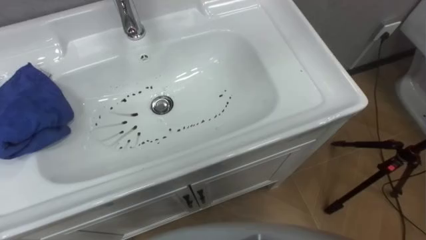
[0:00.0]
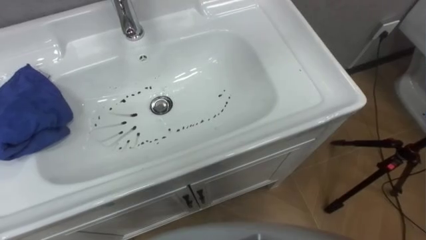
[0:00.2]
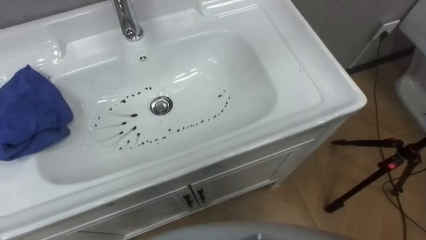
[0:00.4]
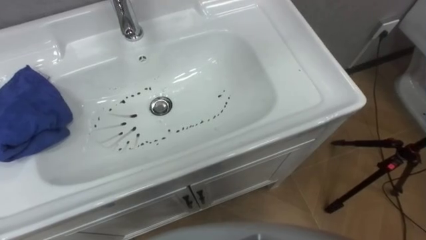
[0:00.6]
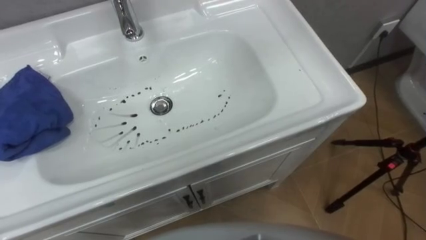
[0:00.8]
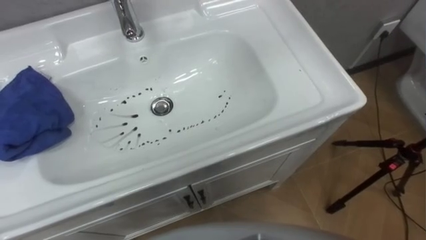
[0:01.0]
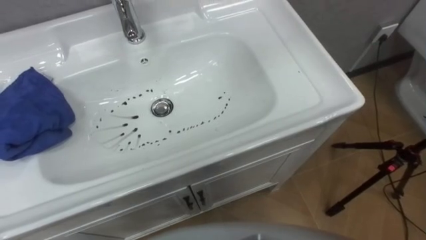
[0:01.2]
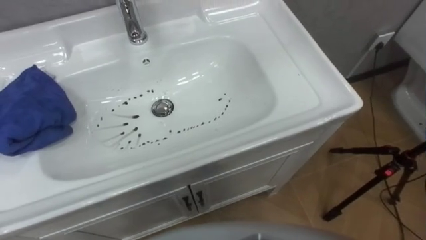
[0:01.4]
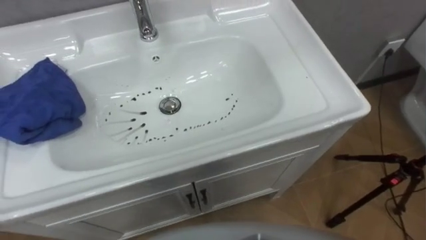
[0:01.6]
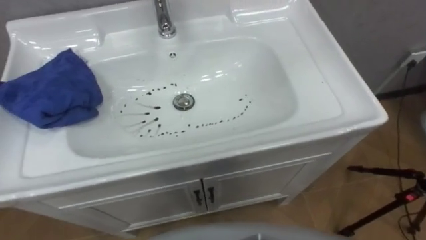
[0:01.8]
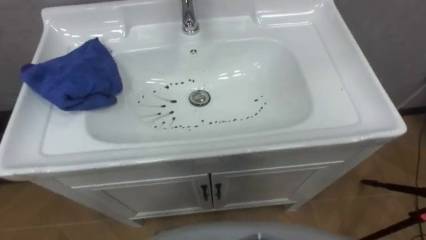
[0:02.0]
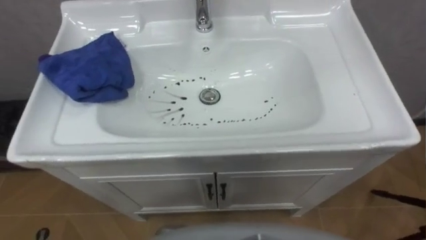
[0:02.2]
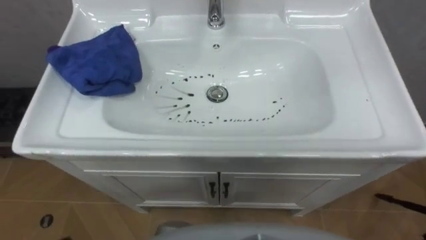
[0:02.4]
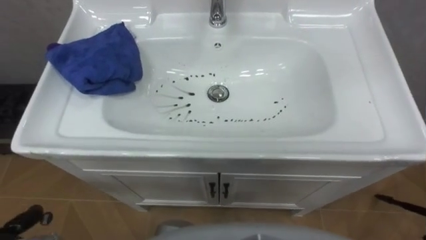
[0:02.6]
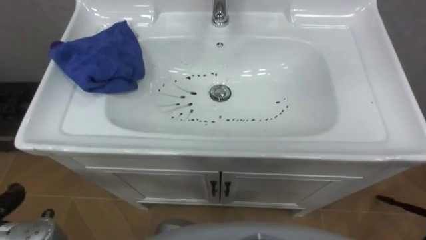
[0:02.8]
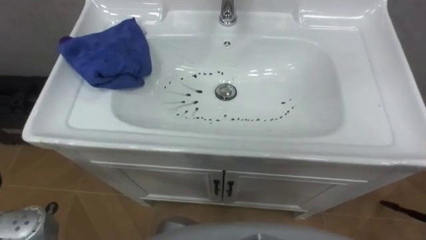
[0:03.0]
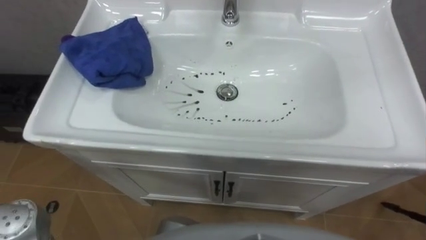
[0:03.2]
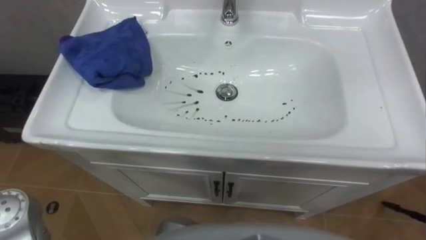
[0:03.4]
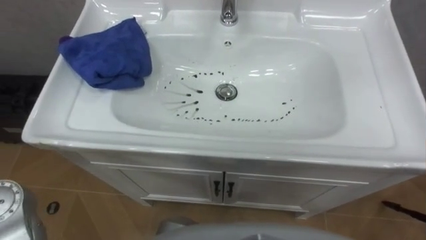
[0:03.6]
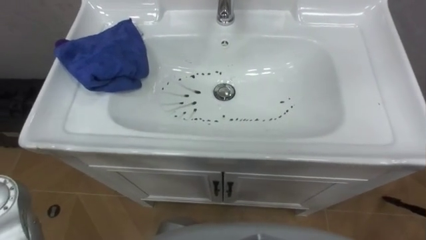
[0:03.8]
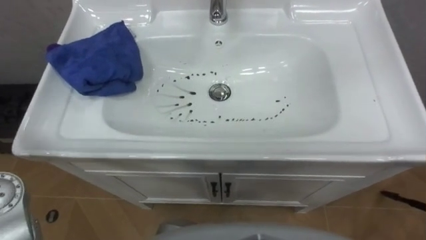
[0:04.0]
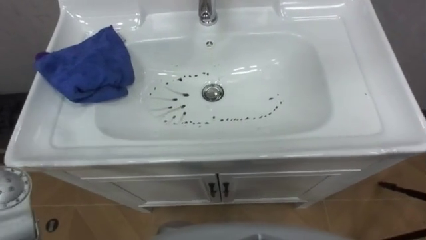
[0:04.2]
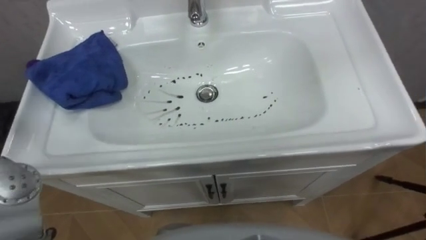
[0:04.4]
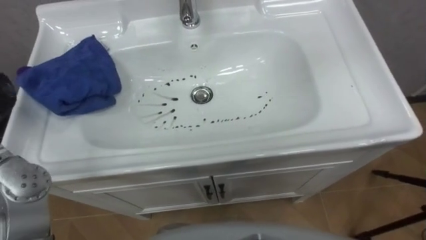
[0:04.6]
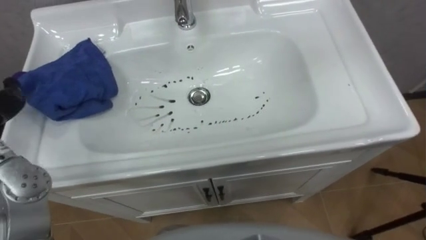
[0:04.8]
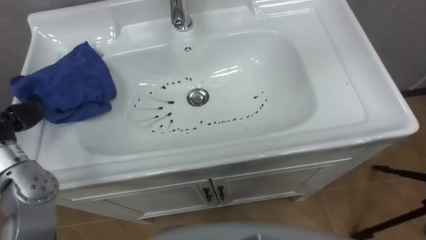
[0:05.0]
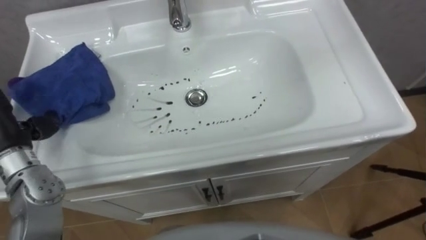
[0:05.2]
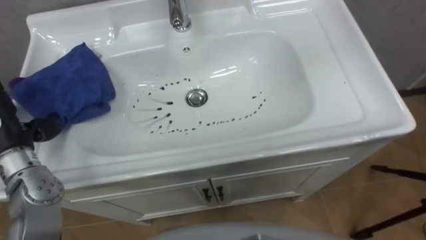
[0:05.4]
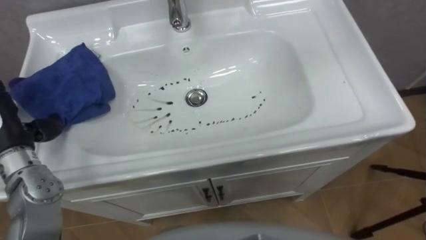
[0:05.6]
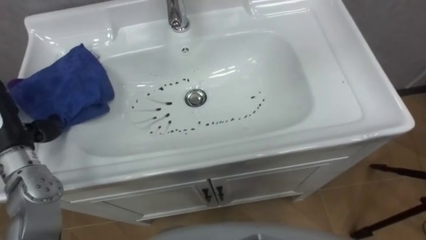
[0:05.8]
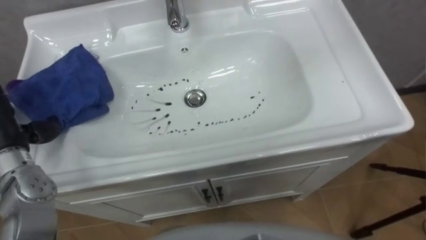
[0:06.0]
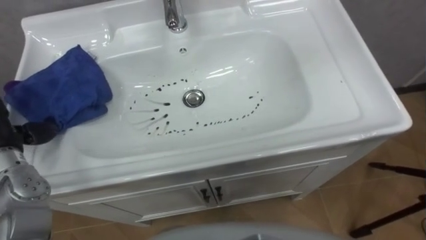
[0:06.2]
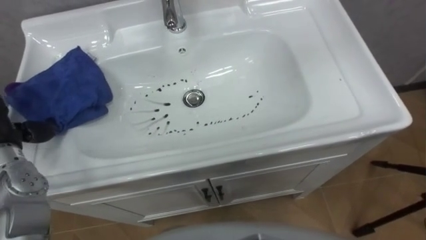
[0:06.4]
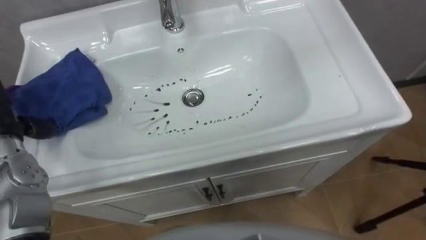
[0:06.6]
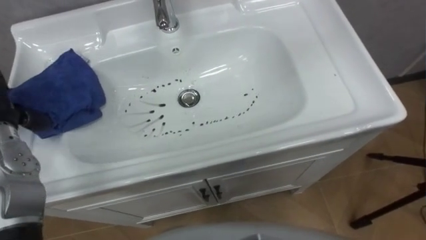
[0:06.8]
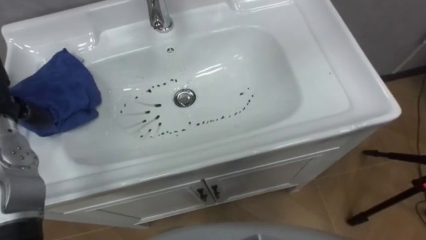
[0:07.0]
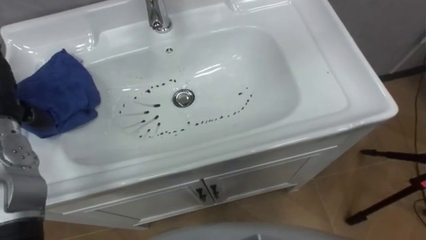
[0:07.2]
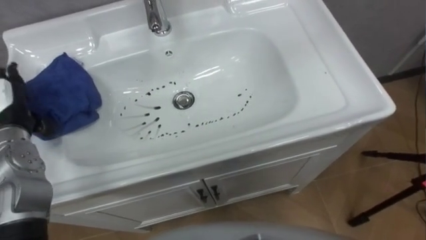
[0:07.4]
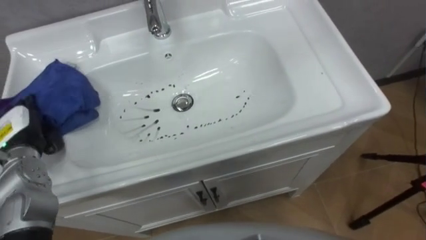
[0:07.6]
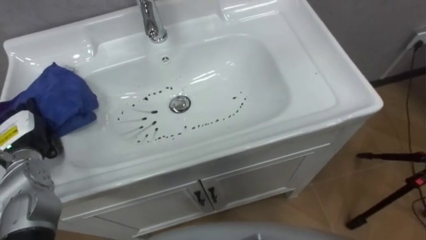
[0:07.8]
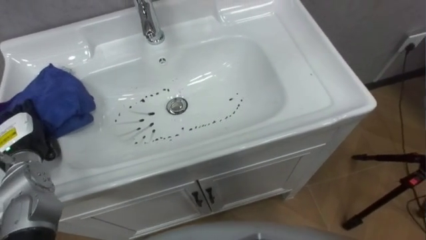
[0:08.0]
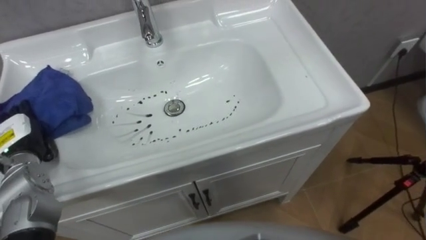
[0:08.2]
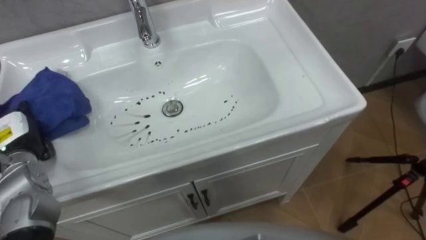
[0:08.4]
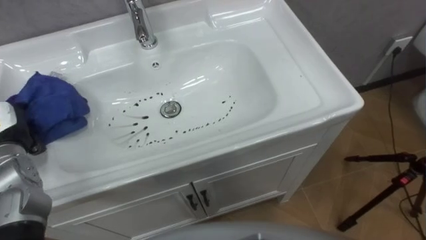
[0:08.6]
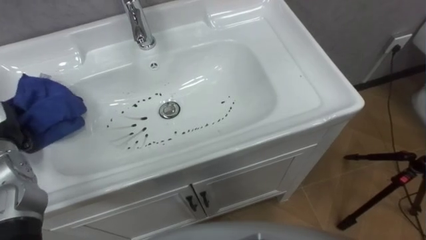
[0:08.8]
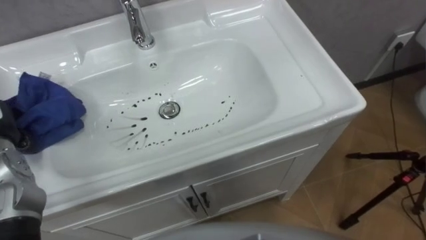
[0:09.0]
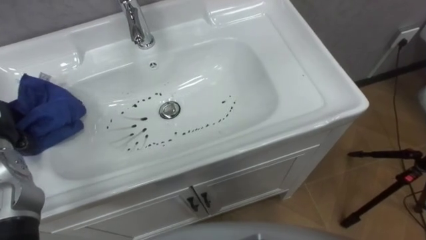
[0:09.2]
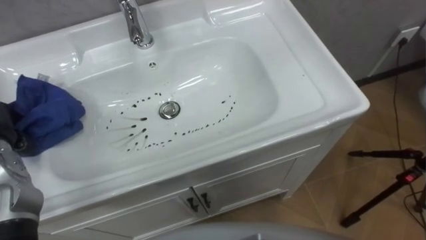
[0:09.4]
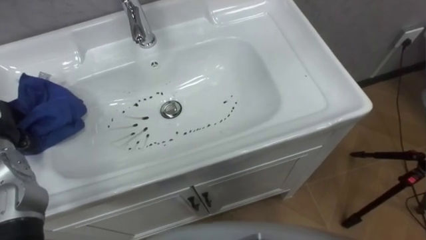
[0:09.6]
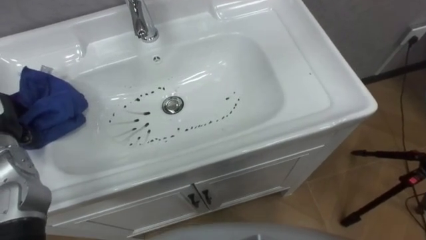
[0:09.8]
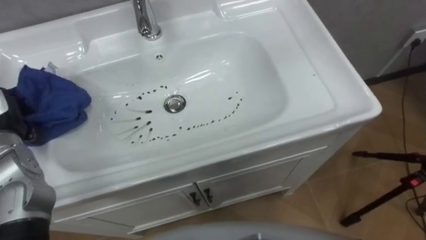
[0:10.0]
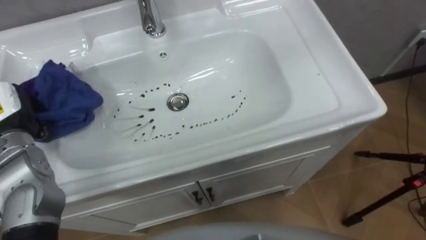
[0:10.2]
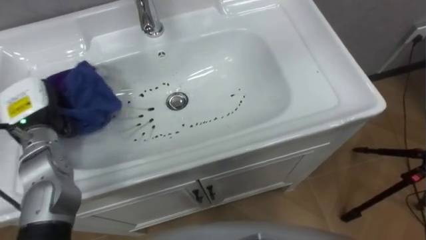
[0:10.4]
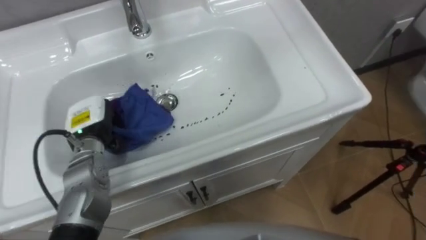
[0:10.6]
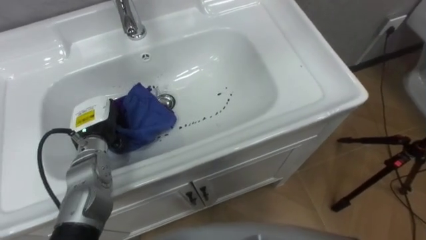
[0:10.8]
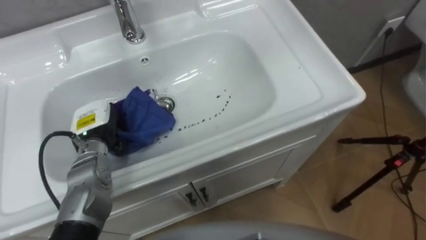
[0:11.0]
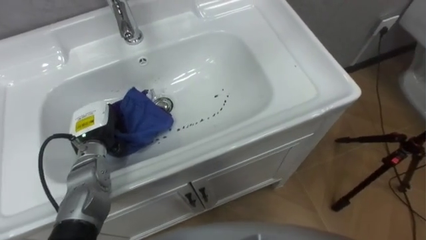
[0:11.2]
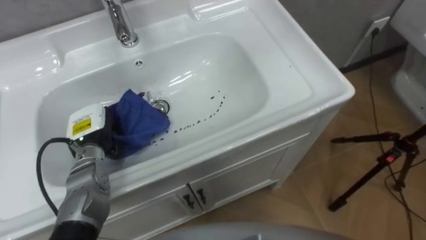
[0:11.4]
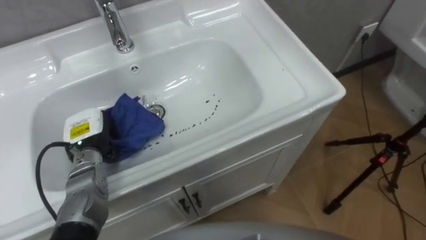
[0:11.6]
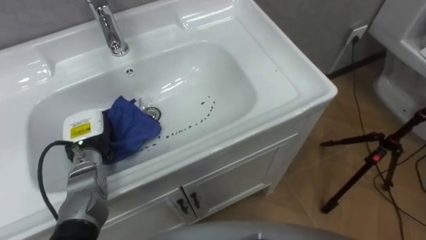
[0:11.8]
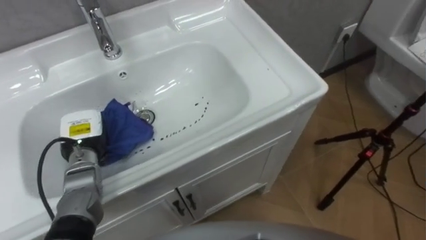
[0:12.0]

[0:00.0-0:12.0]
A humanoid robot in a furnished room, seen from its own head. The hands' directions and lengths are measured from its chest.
Task of the whole recording: Use the cloth on the right to wipe away the black stain in the sink.
0:10.4 to 0:12.0: The left hand heads downward, covering roughly 10 cm.

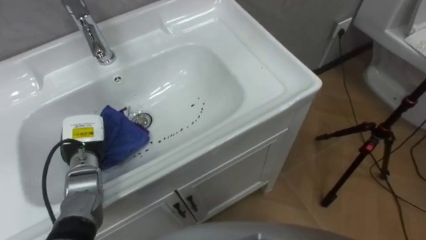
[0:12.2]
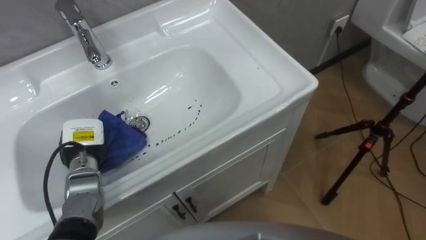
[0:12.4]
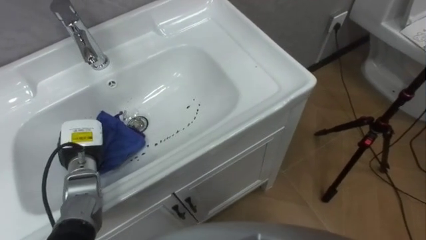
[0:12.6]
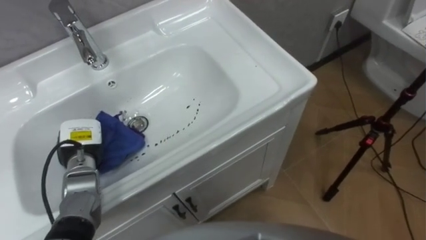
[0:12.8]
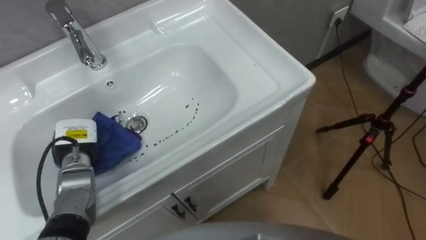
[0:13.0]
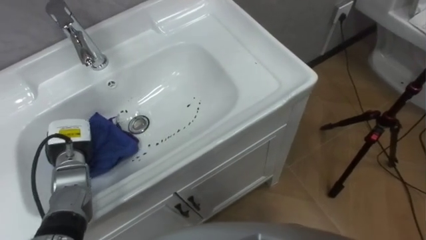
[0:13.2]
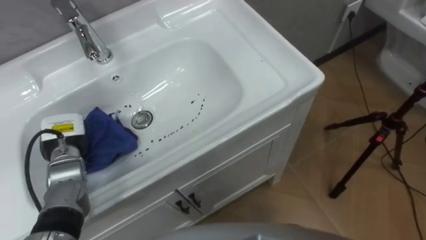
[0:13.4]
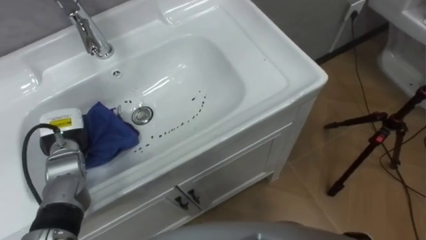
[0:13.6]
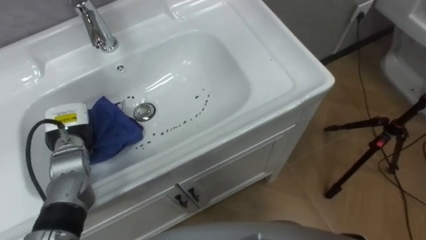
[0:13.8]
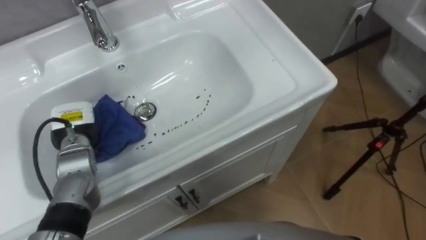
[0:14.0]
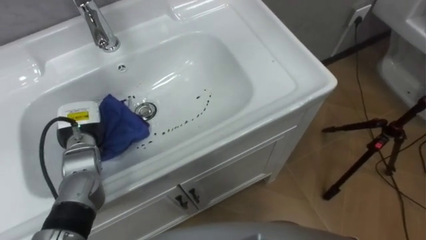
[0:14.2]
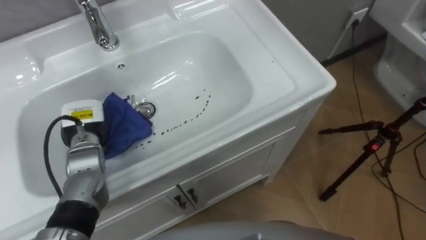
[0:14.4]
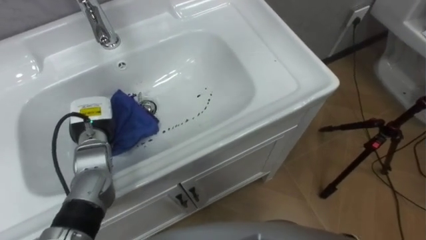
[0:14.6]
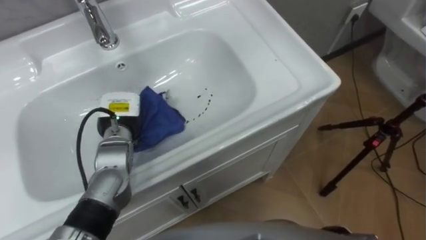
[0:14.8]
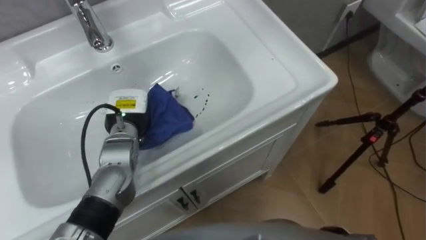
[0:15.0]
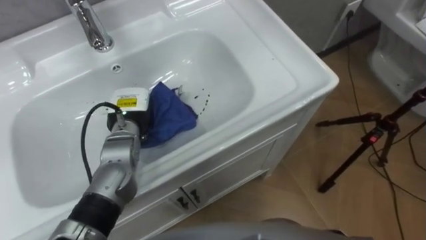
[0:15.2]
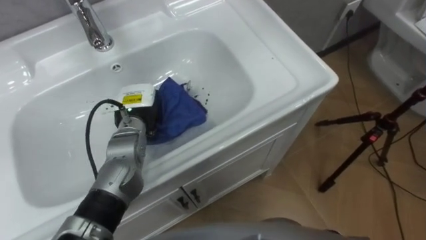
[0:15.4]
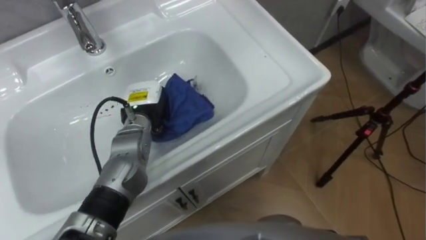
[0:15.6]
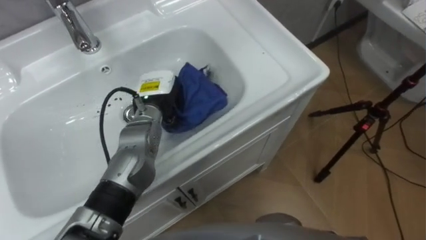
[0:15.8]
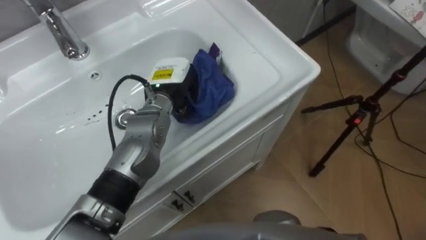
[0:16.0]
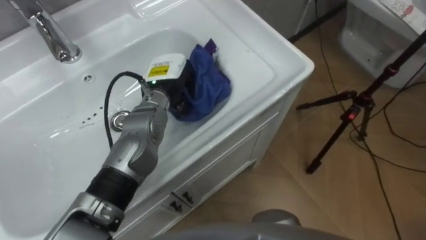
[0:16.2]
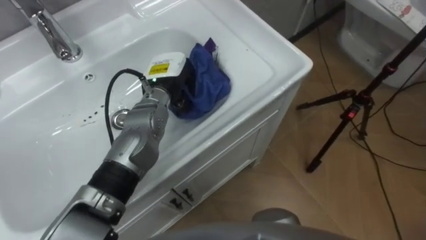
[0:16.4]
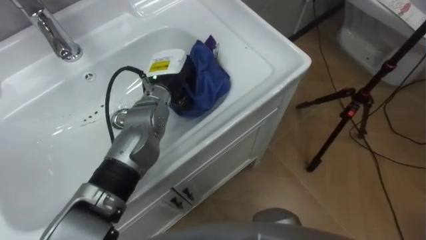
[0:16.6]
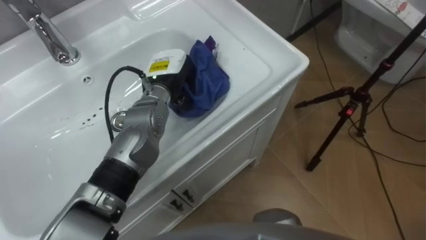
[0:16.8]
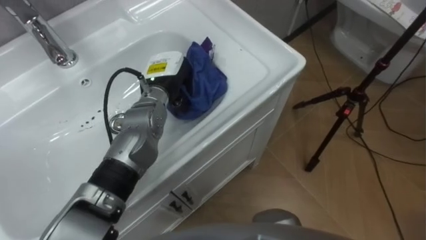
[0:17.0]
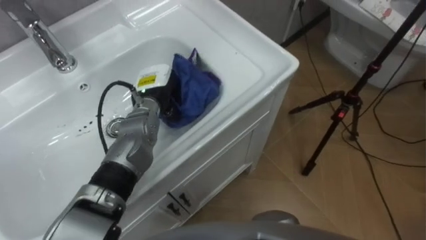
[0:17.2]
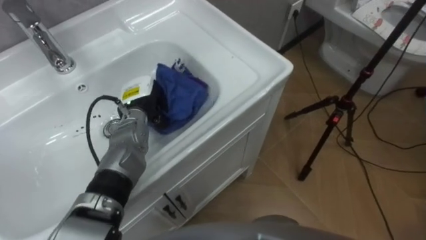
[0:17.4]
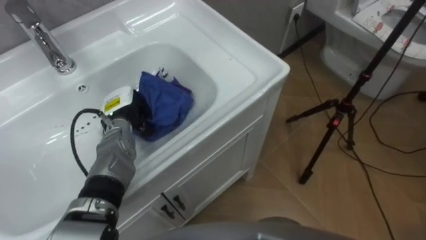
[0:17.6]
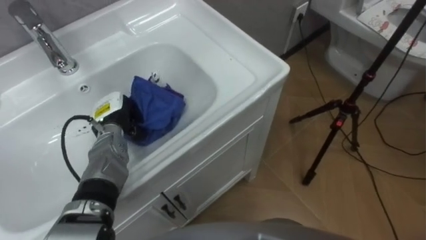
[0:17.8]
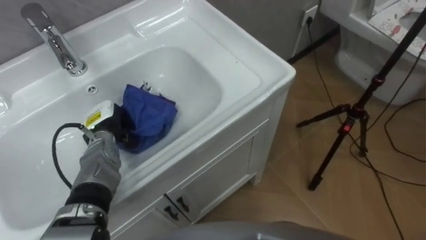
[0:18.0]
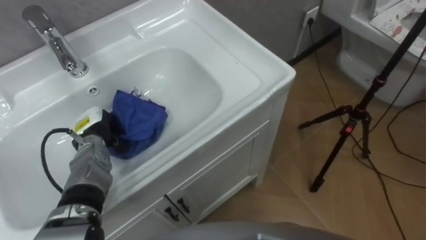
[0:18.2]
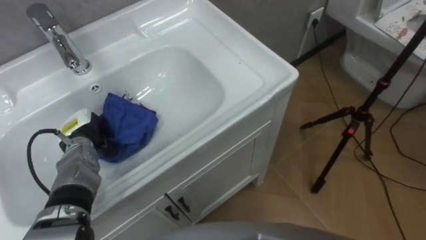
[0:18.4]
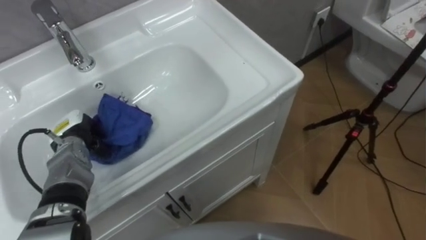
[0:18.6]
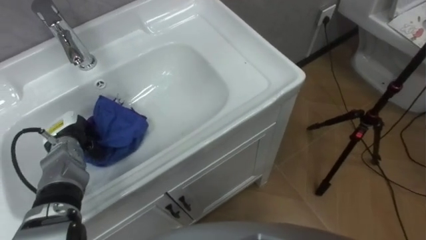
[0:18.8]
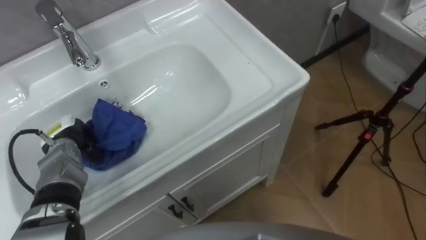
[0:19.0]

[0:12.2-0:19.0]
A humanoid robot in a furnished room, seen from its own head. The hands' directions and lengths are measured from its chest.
Task of the whole recording: Use the cloth on the right to wipe away the black stain in the sink.
0:13.6 to 0:15.0: The left hand travels to the right by some 15 cm.
0:15.0 to 0:16.2: The left hand travels to the right and upward by some 10 cm.
0:16.2 to 0:17.6: The left hand travels to the left and downward by roughly 15 cm.
0:17.6 to 0:19.0: The left hand shifts about 15 cm to the left and backward.
